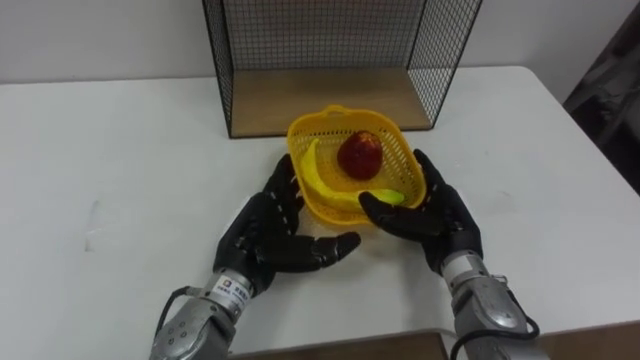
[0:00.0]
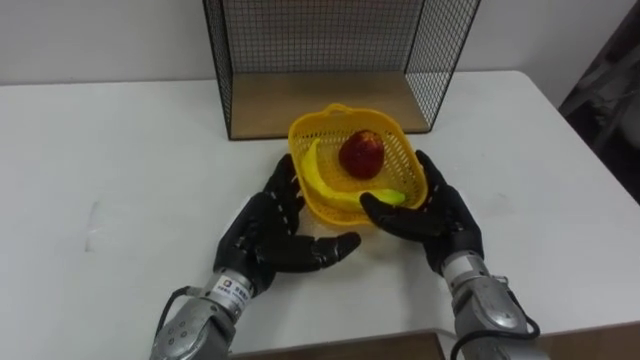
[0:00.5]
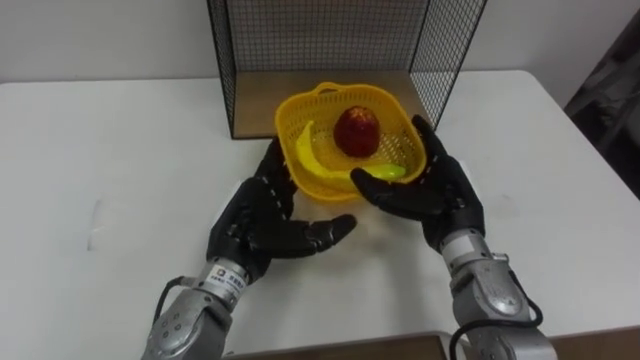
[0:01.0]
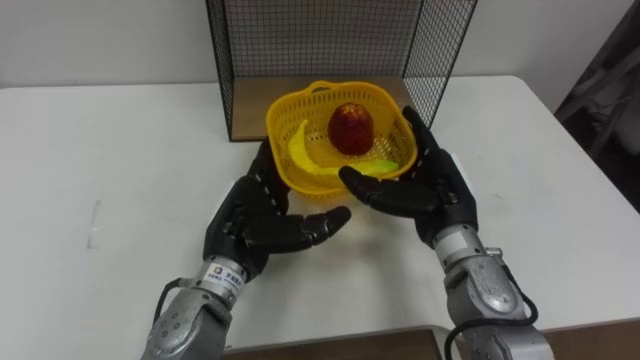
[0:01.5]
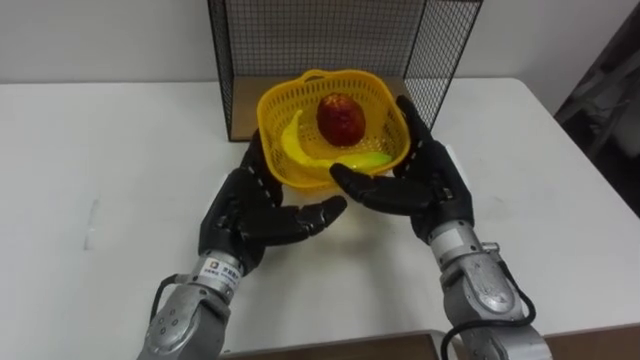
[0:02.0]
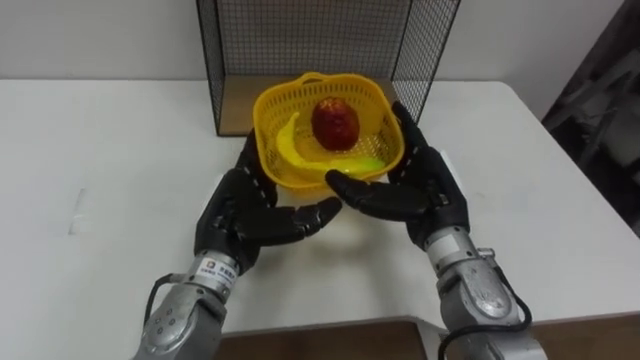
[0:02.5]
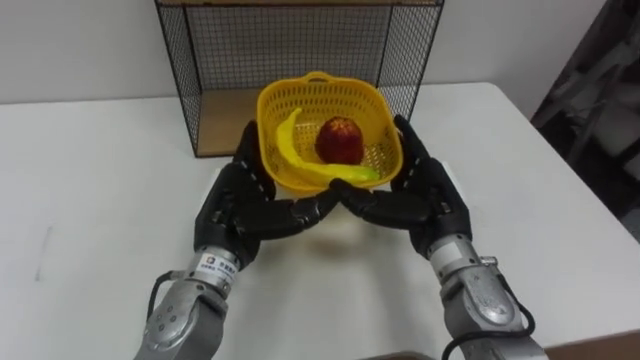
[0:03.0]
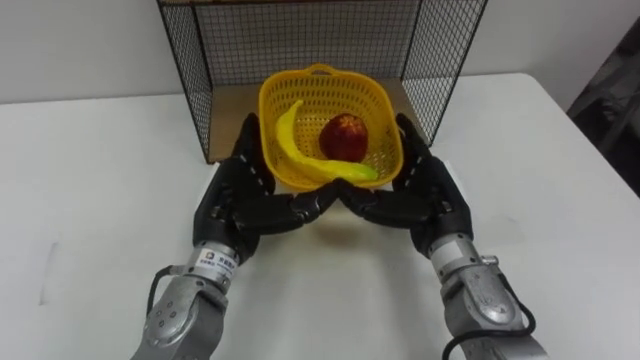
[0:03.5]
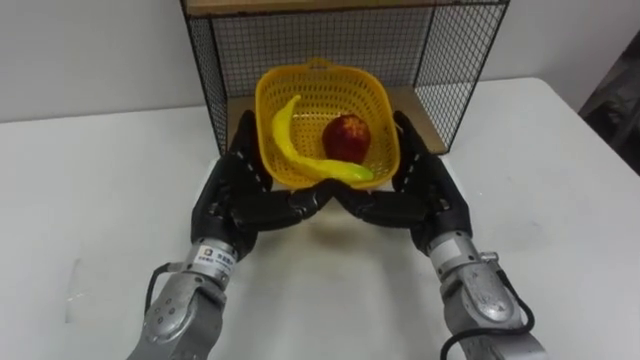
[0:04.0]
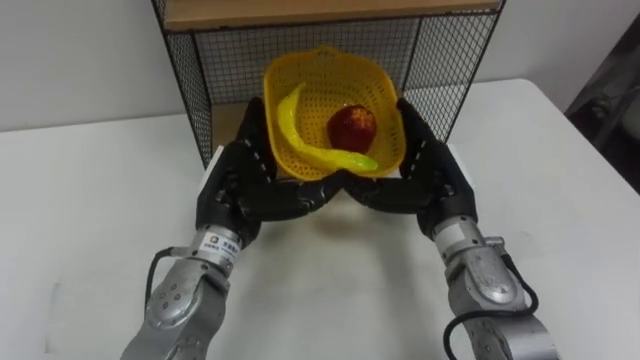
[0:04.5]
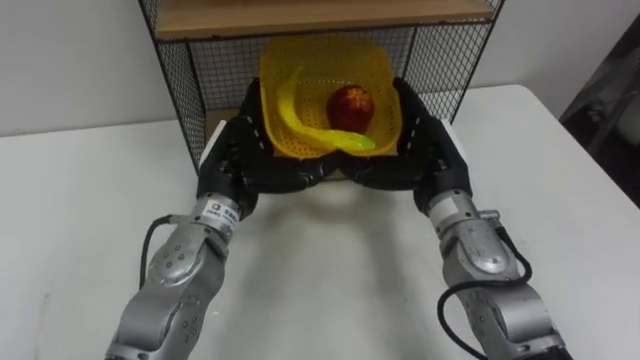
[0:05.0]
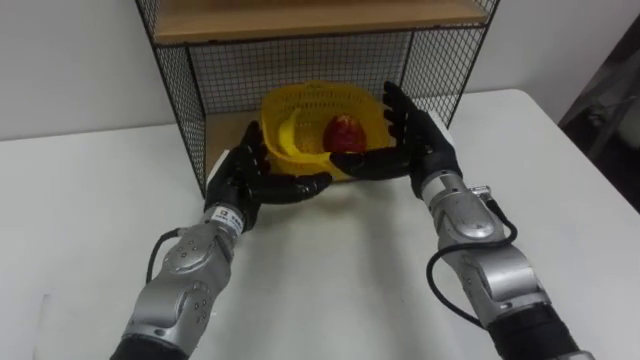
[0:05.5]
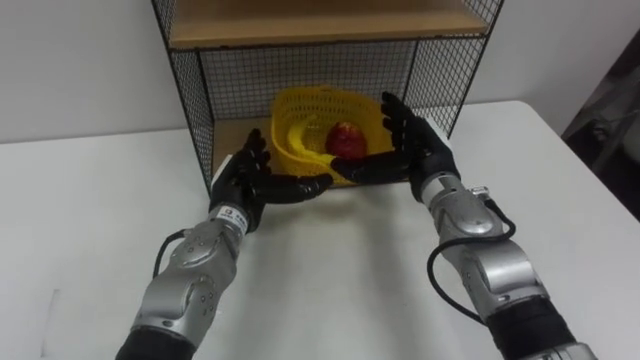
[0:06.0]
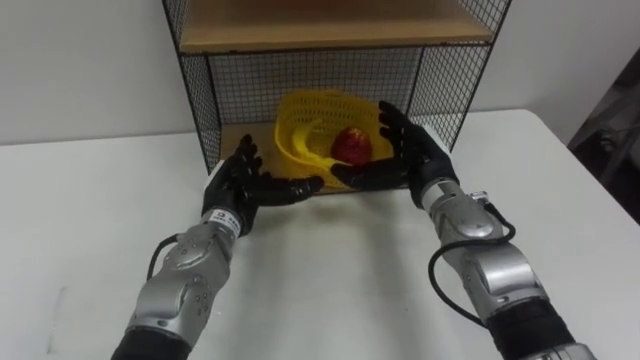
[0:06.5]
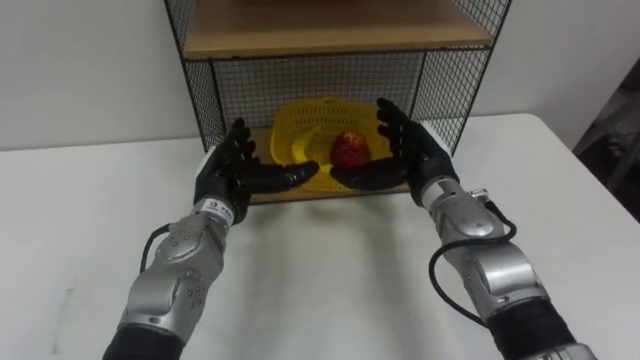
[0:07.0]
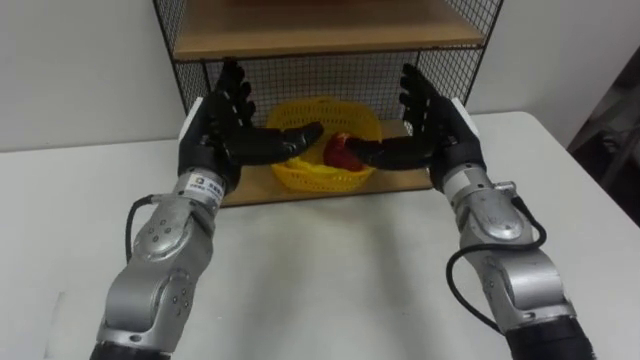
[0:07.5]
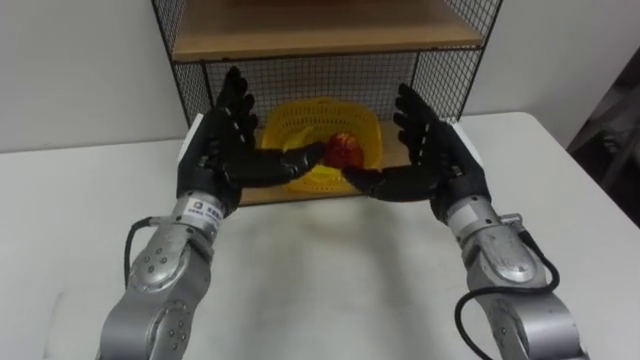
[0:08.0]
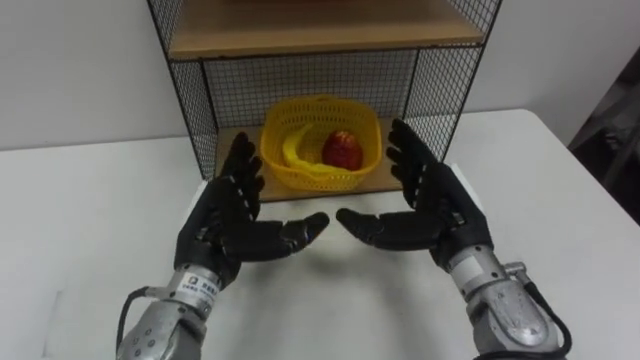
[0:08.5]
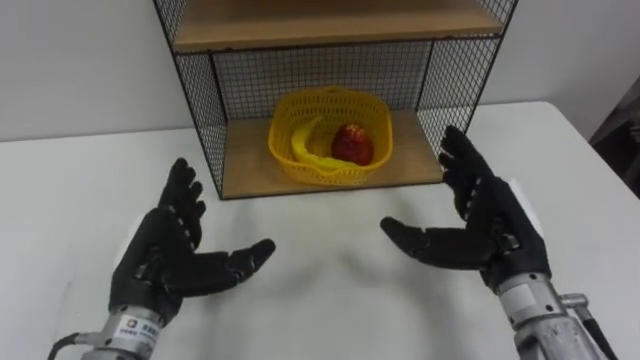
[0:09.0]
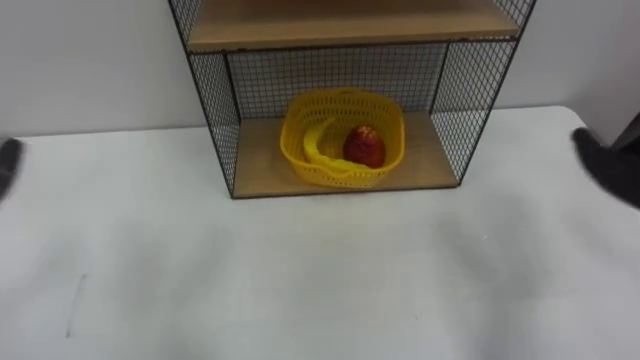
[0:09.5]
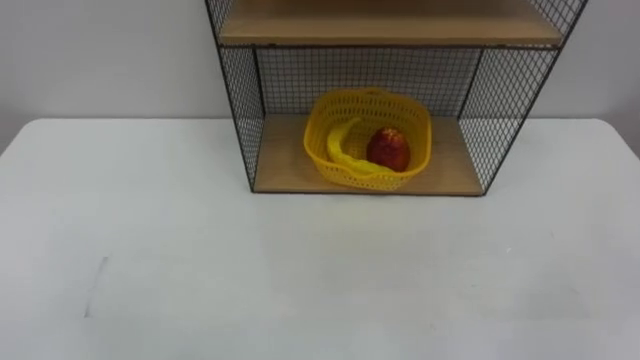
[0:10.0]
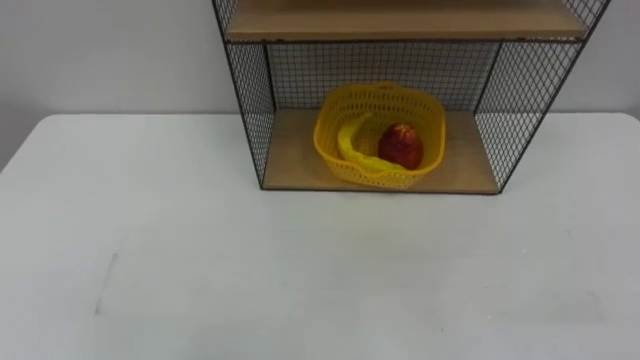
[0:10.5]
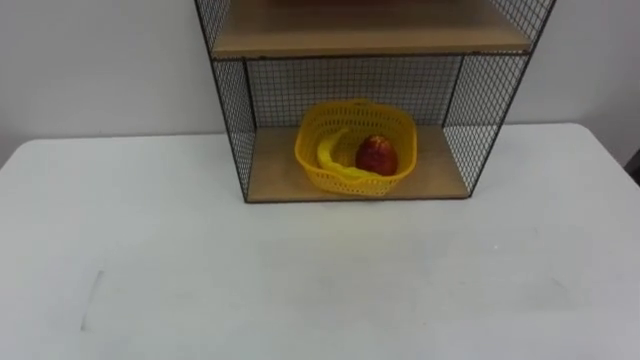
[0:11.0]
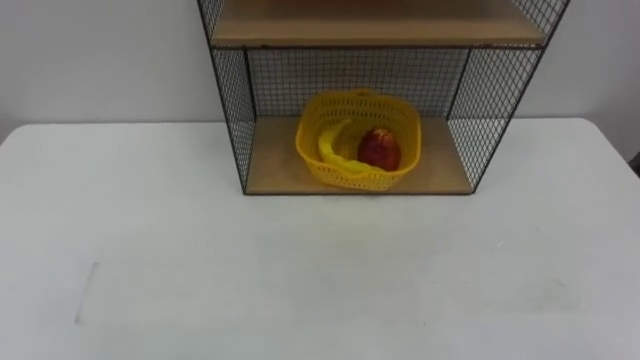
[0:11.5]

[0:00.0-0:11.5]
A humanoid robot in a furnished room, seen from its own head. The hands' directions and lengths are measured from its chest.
Task of the whole recording: Put the fruit on the table into the basket, then place the basket on the shelf.
0:00.0 to 0:02.0: The right hand goes about 5 cm upward.
0:04.0 to 0:06.0: The hands both shift forward by about 5 cm.
0:06.0 to 0:07.5: The left hand goes about 10 cm upward.

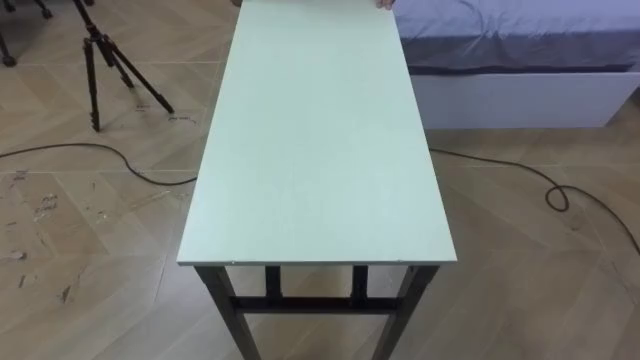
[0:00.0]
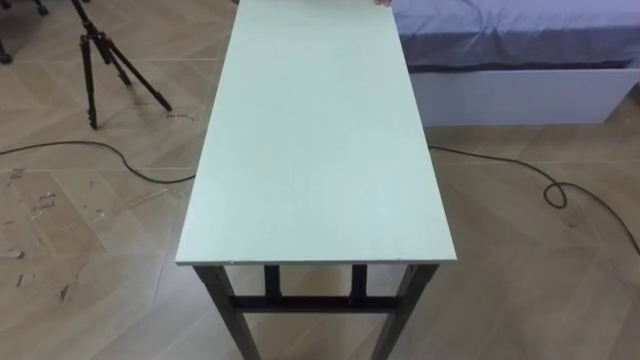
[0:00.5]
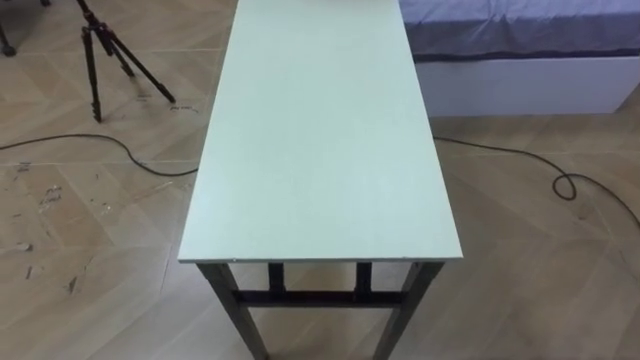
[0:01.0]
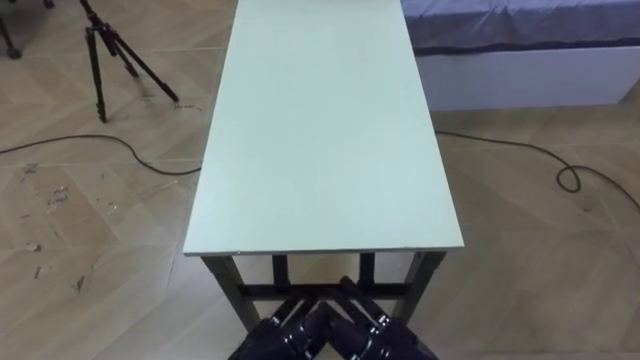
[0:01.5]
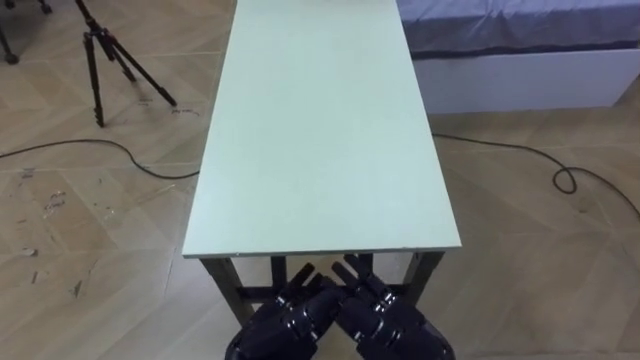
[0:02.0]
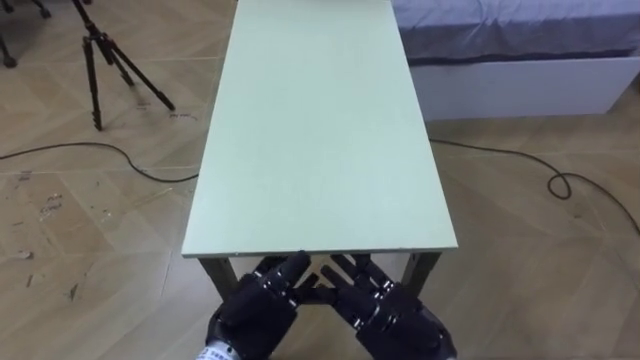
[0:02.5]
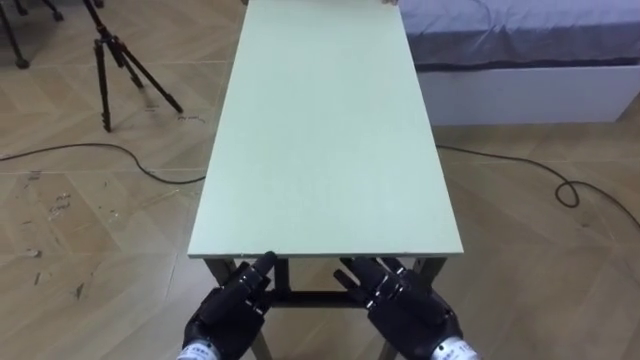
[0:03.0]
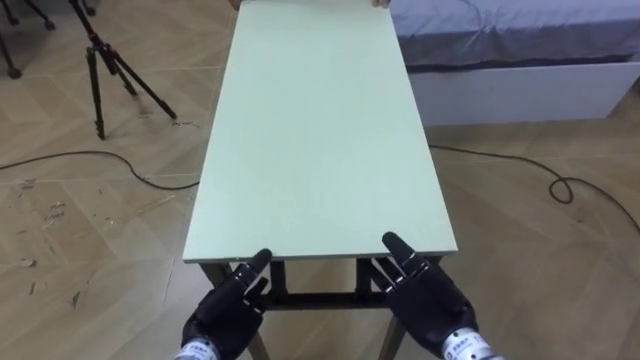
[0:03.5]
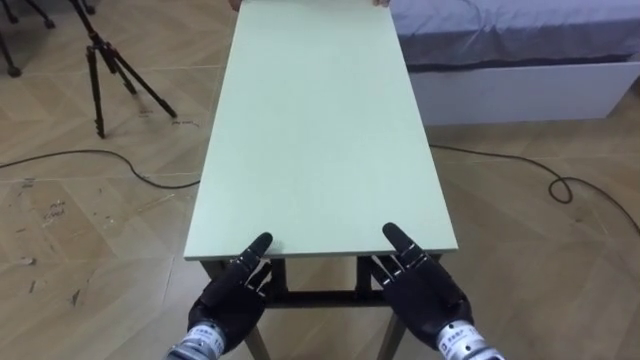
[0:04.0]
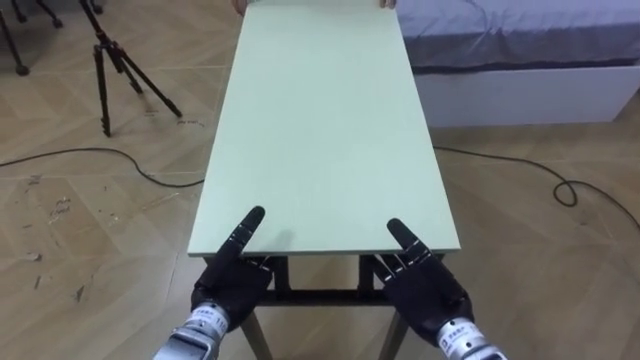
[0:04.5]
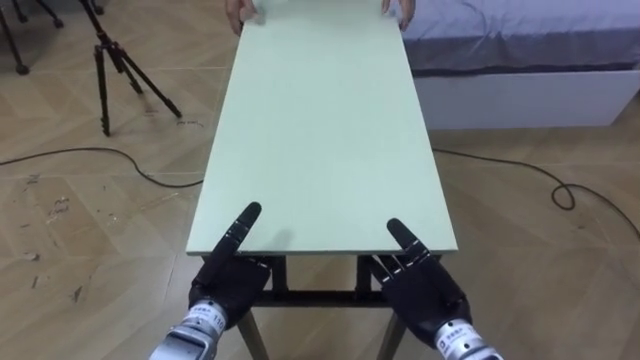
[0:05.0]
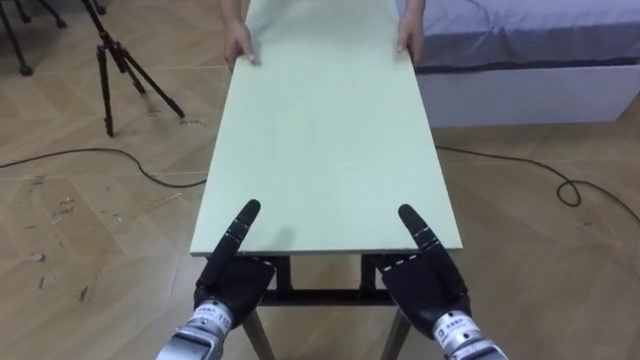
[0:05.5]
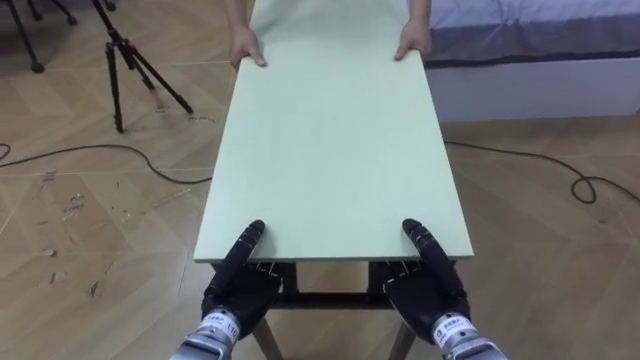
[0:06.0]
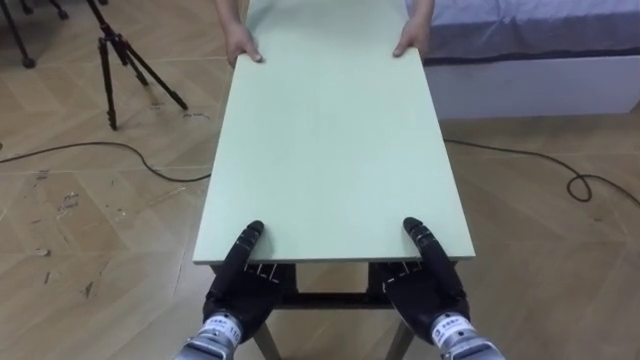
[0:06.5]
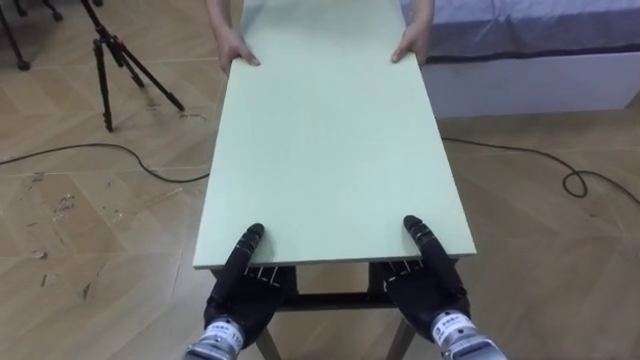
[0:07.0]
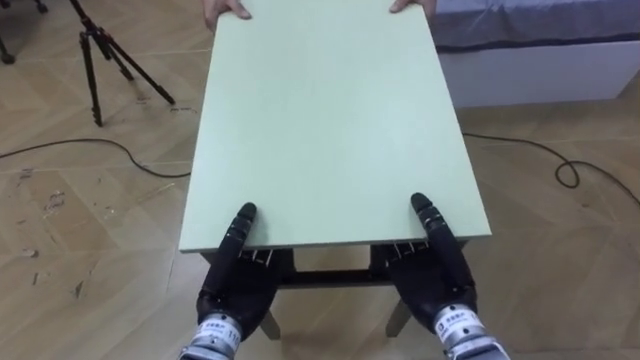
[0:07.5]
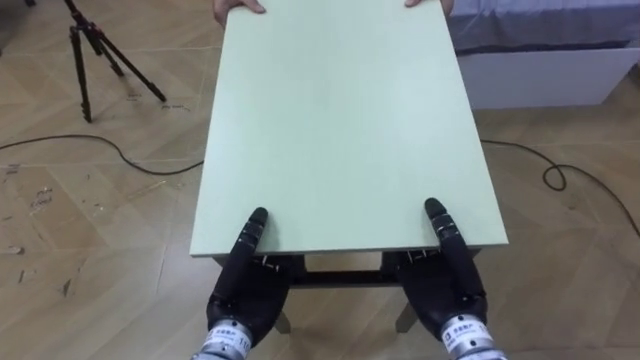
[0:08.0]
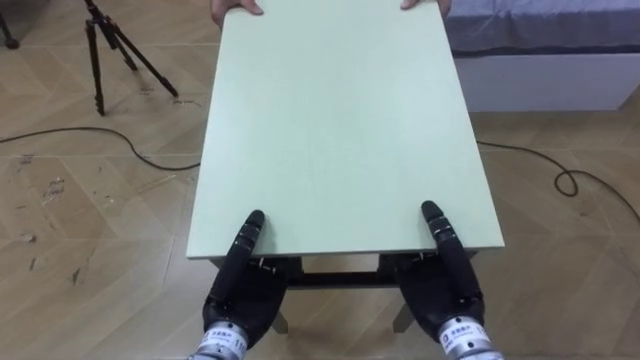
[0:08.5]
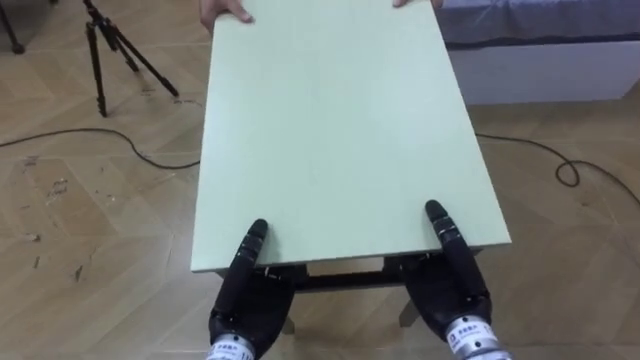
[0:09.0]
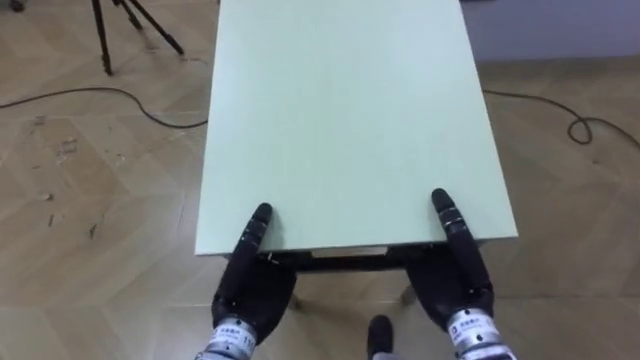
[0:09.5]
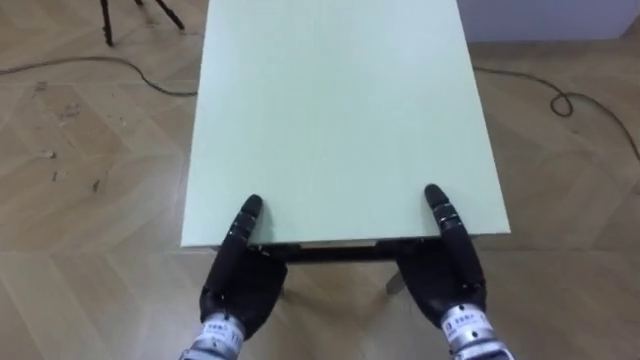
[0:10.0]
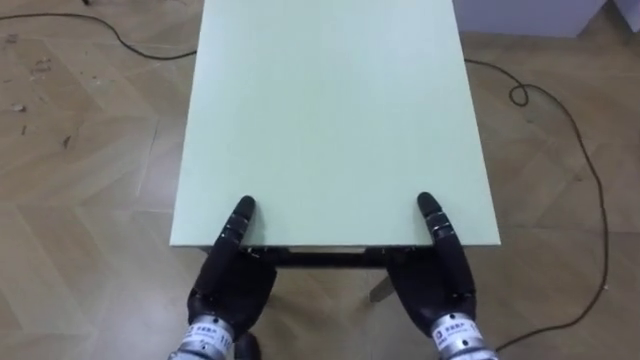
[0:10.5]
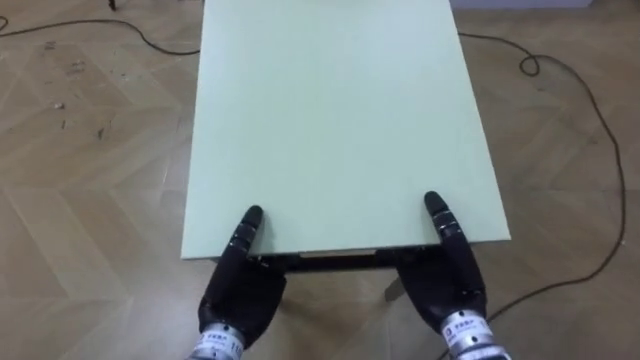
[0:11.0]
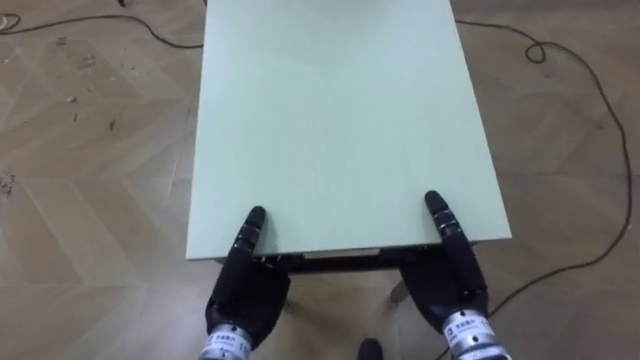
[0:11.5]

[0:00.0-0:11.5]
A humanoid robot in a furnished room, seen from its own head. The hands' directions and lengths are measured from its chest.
Task of the whole recording: Move the table to the back left with someone.
0:02.0 to 0:04.0: The right hand shifts about 5 cm forward, while the left hand is displaced to the left and forward by some 10 cm.
0:04.0 to 0:06.0: The right hand closes its fingers; the left hand closes its fingers.
